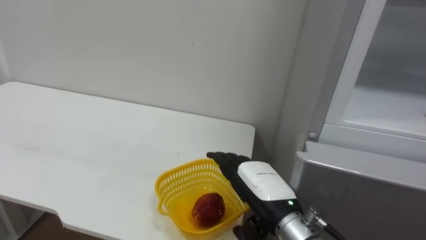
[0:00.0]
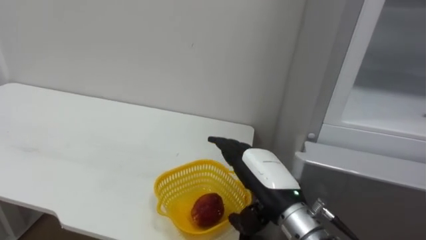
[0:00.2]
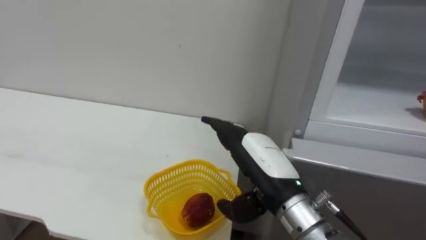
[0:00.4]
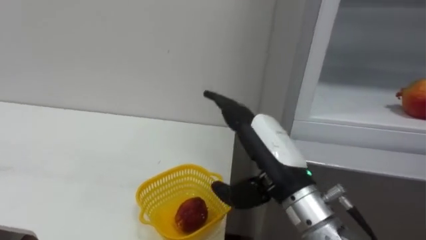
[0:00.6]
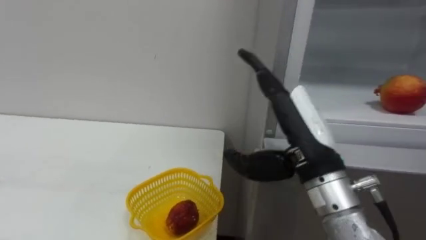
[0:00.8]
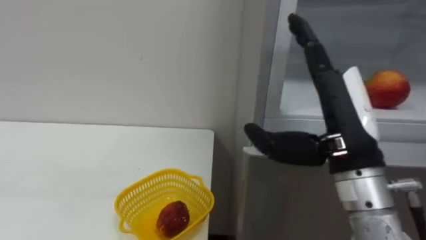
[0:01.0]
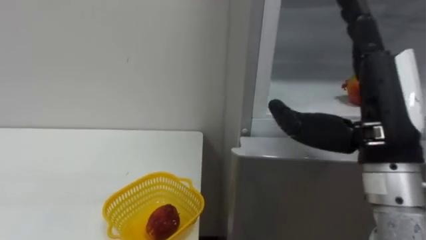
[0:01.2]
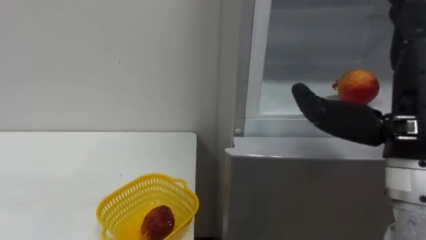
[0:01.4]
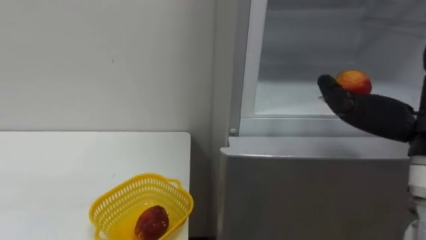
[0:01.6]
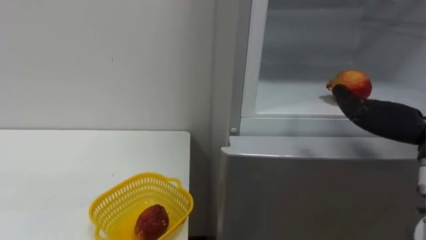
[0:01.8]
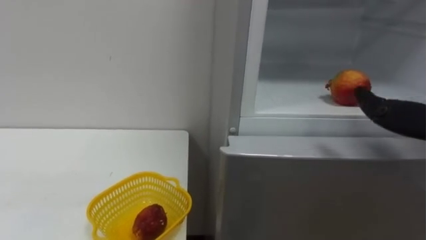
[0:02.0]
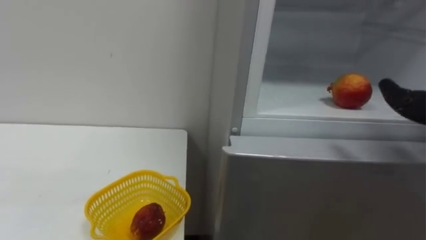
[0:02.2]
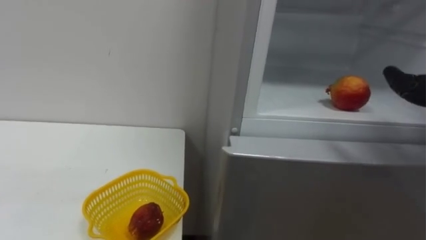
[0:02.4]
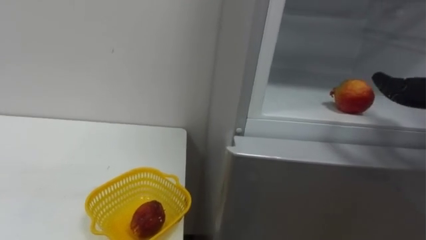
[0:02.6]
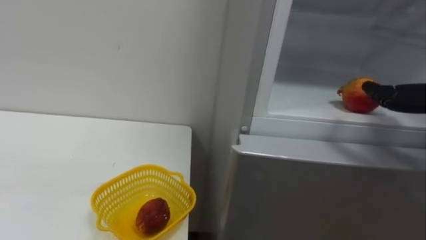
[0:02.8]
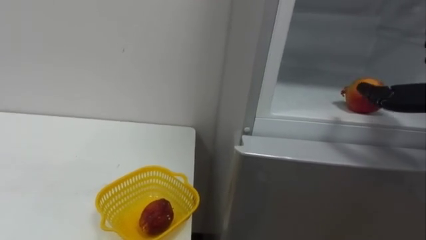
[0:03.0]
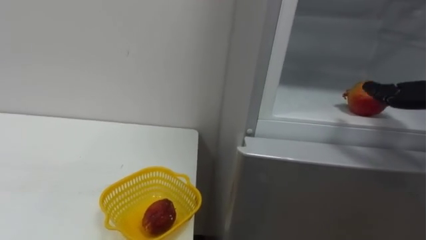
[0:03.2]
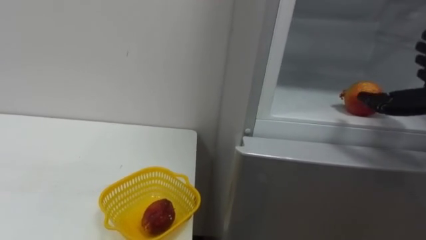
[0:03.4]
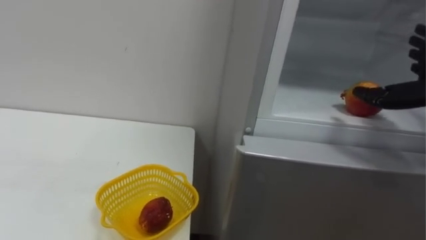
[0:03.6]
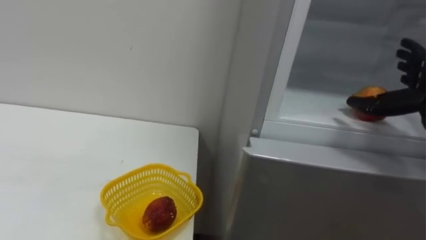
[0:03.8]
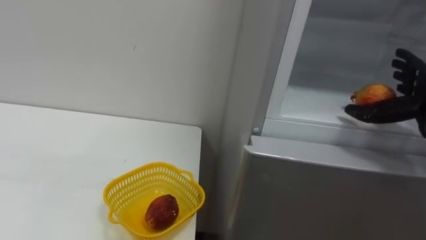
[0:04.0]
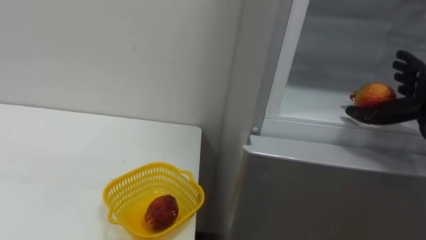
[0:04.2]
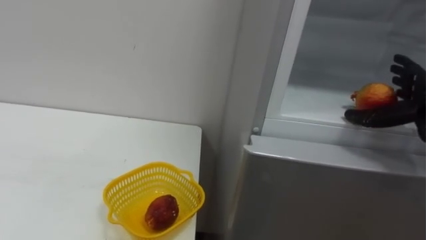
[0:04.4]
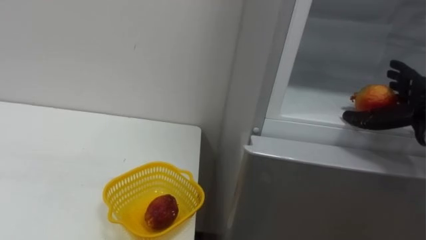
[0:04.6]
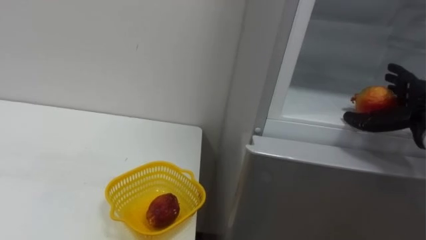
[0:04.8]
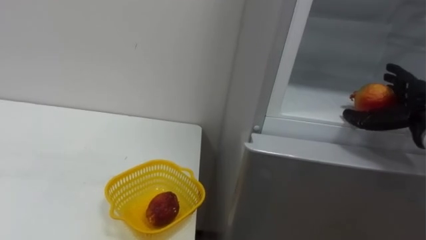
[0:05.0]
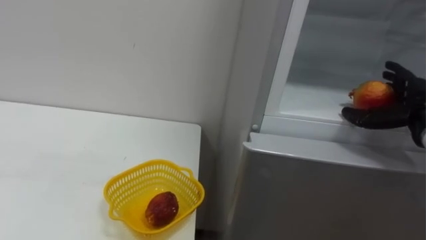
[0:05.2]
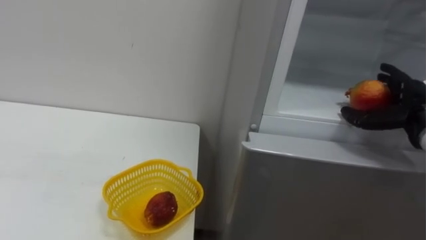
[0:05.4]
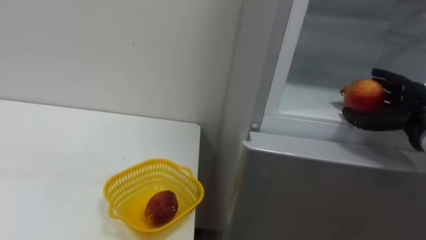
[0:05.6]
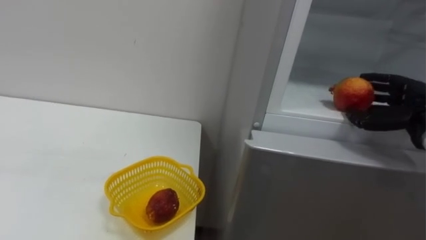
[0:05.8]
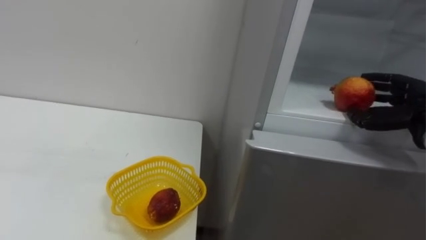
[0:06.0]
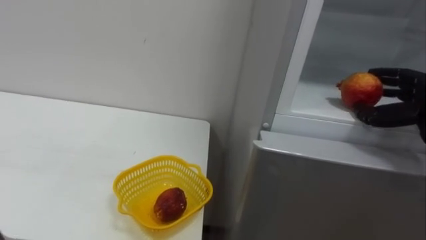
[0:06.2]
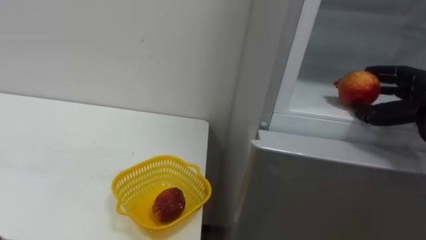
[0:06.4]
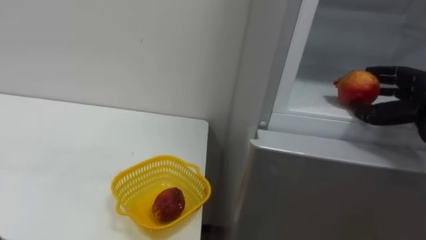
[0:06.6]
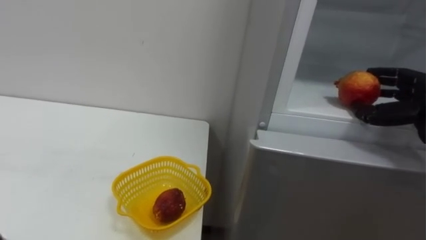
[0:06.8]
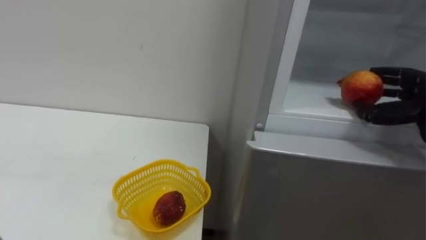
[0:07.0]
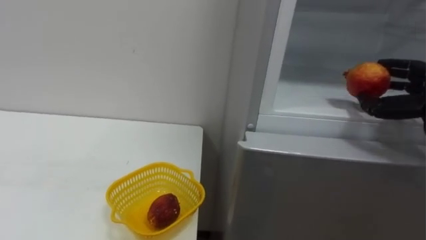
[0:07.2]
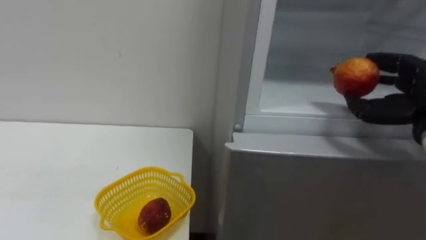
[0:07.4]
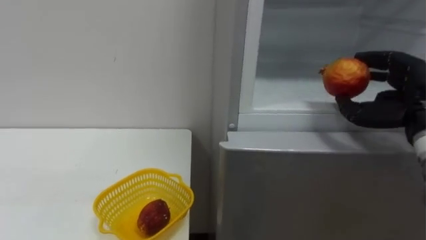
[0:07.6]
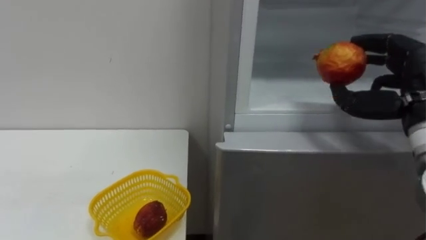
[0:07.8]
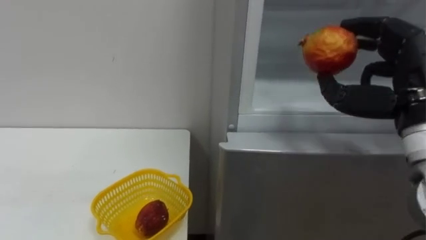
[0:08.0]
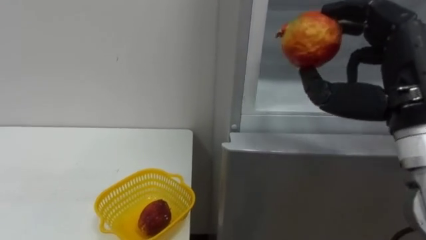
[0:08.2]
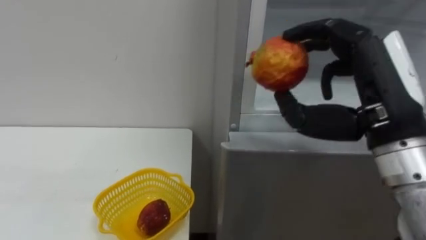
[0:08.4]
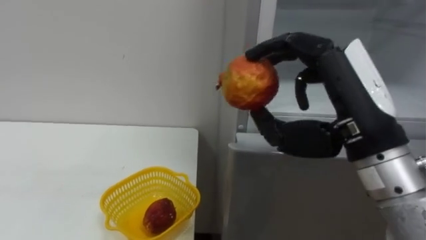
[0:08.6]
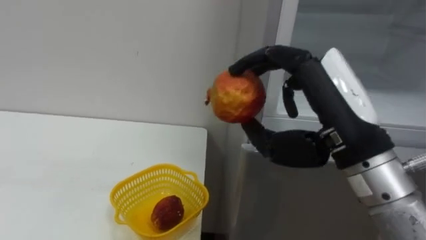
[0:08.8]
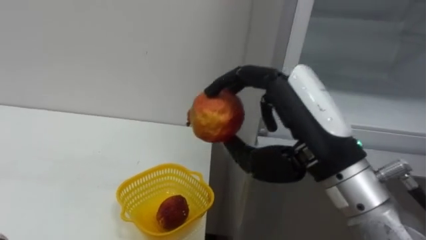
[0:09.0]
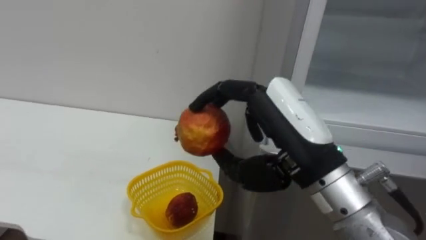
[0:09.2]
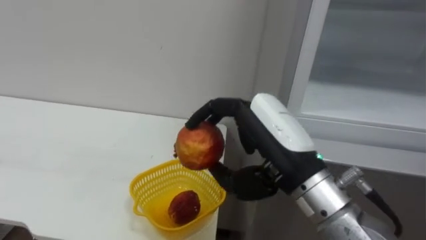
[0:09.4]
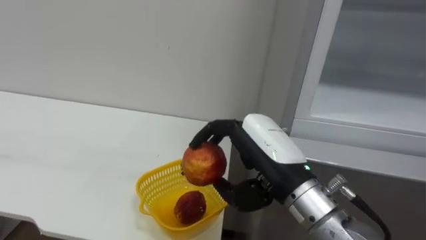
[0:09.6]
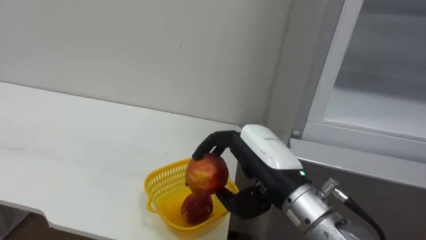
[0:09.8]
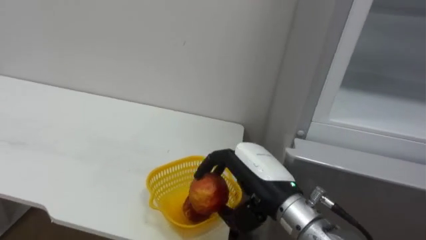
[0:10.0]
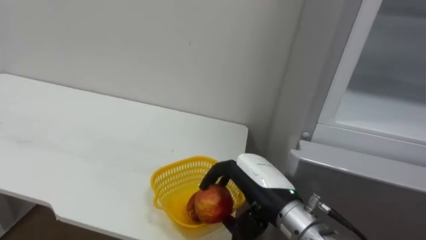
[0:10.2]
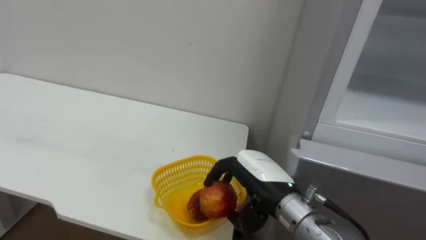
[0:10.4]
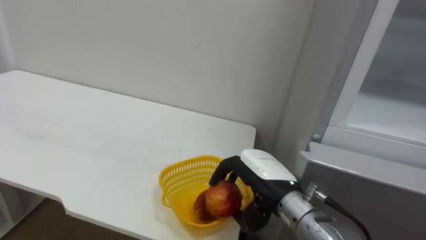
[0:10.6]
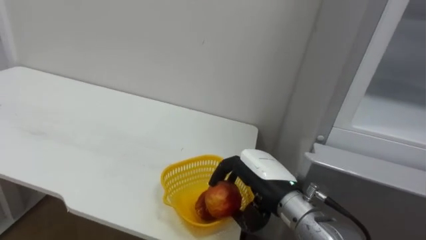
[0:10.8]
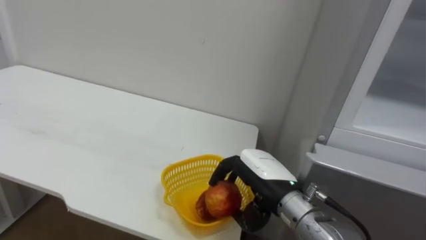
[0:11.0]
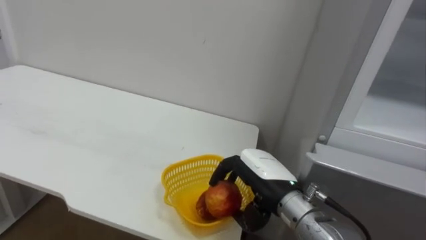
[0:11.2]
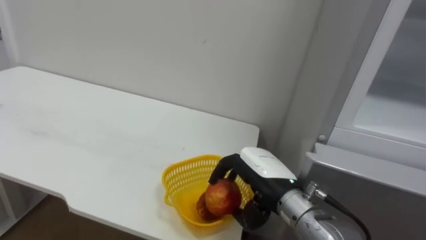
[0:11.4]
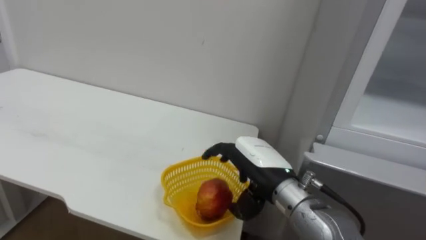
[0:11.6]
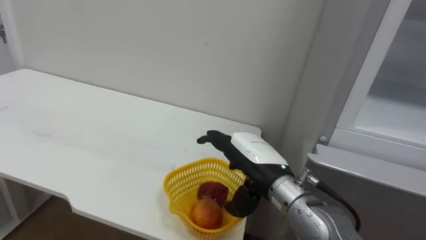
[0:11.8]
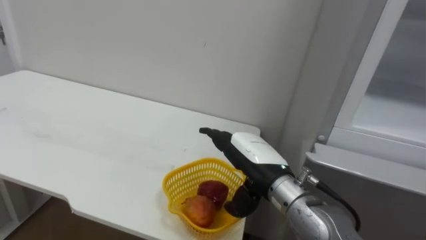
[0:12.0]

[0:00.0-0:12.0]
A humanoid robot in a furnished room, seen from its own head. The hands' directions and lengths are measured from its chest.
Task of the whole recording: Open the refrigerator door, take out the apple and the pomegranate, place them in the fruit basket on the left, and close the refrigerator door.
0:04.4 to 0:06.0: The right hand closes.
0:07.6 to 0:09.0: The right hand shifts about 20 cm to the left and backward.
0:09.0 to 0:10.4: The right hand moves downward and forward, roughly 15 cm.
0:10.4 to 0:12.0: The right hand opens its fingers.

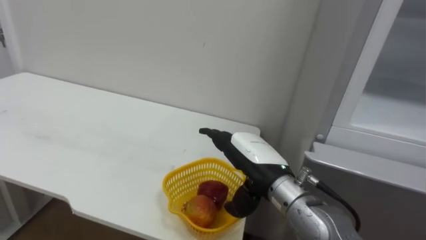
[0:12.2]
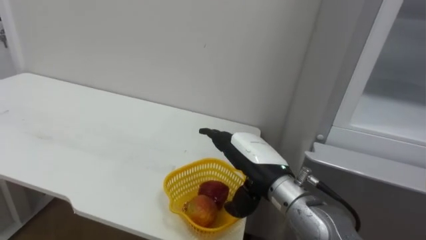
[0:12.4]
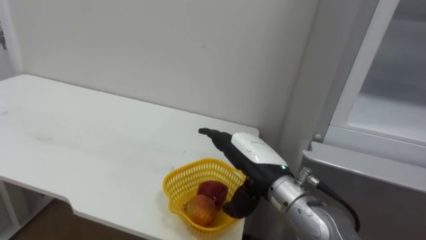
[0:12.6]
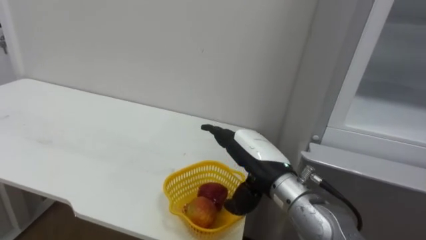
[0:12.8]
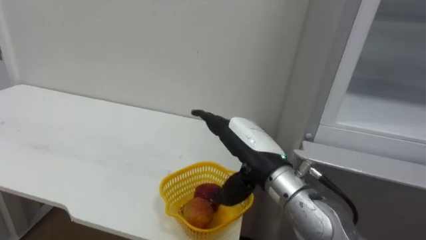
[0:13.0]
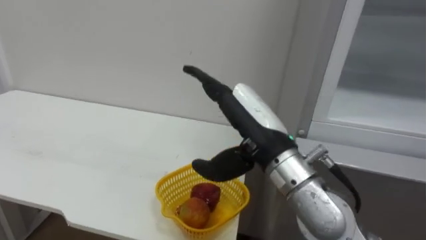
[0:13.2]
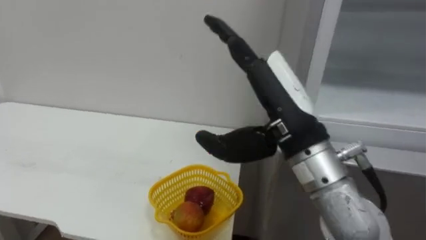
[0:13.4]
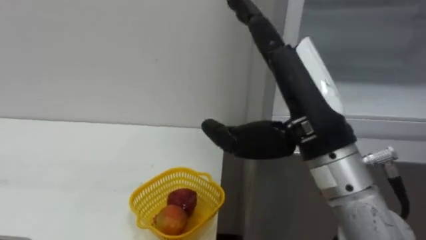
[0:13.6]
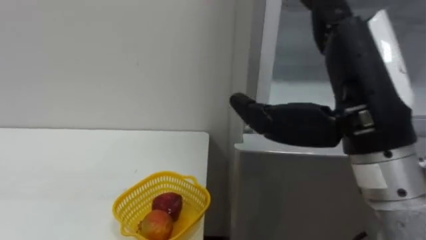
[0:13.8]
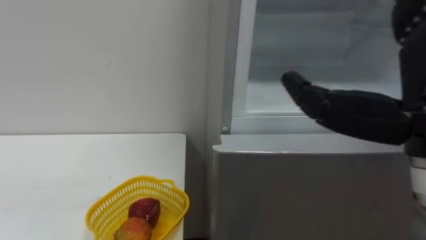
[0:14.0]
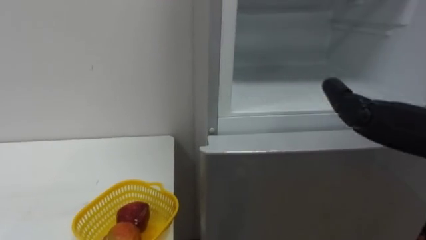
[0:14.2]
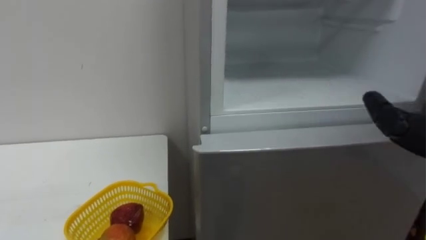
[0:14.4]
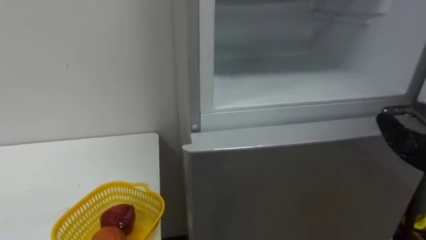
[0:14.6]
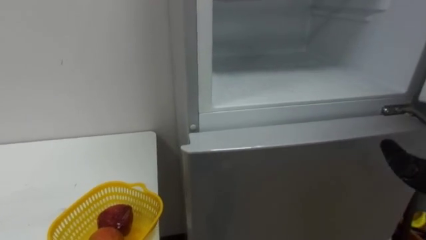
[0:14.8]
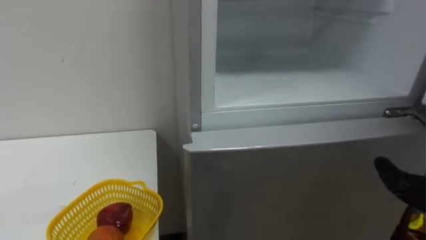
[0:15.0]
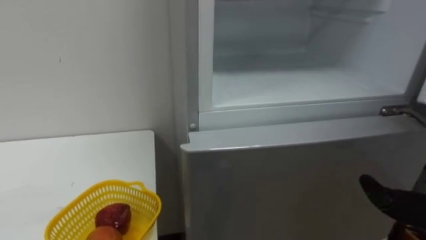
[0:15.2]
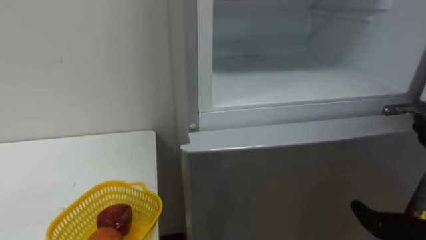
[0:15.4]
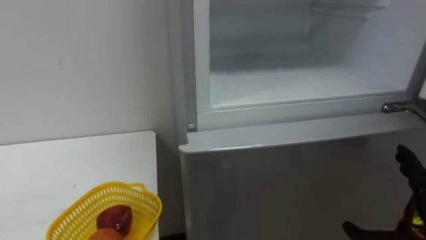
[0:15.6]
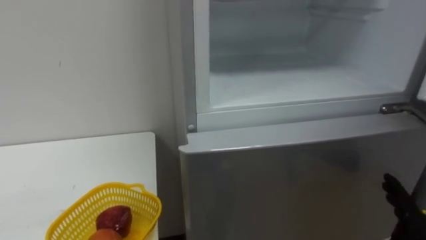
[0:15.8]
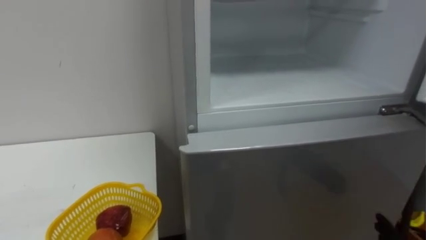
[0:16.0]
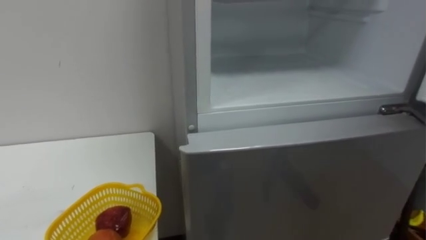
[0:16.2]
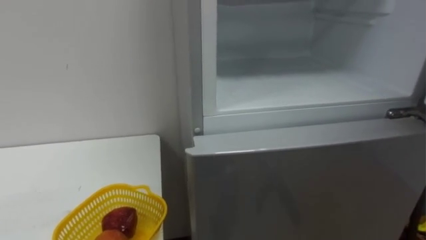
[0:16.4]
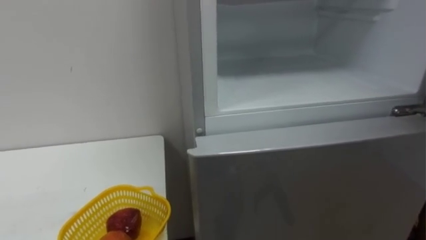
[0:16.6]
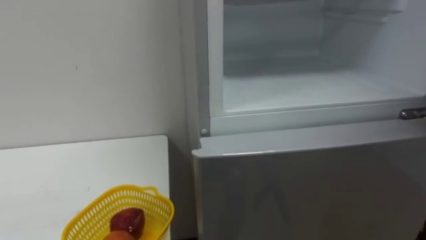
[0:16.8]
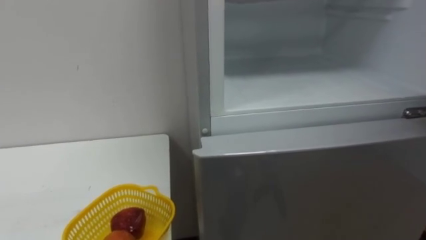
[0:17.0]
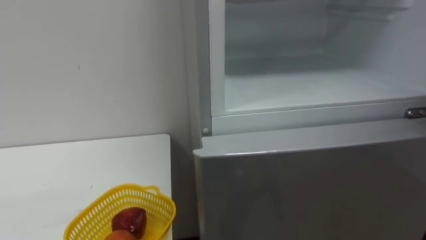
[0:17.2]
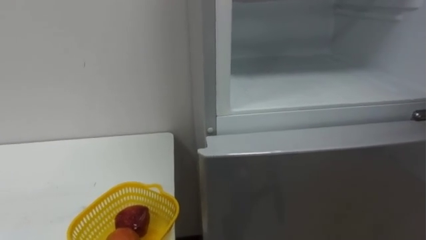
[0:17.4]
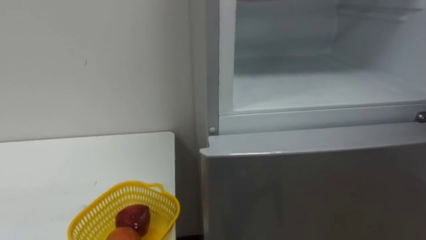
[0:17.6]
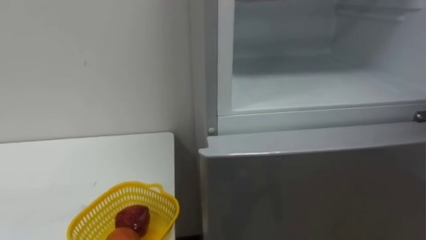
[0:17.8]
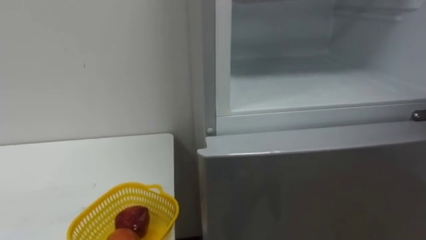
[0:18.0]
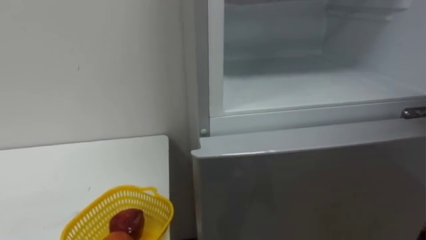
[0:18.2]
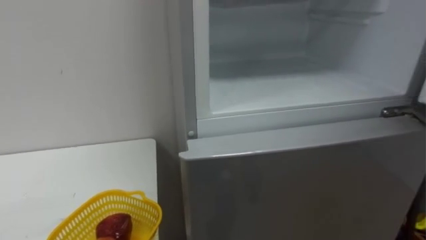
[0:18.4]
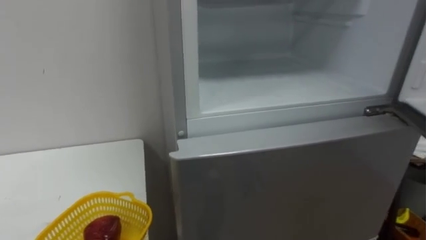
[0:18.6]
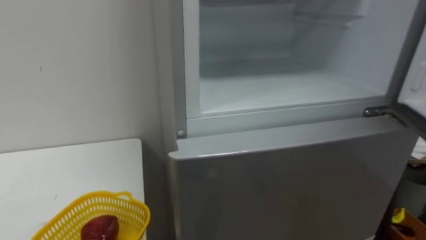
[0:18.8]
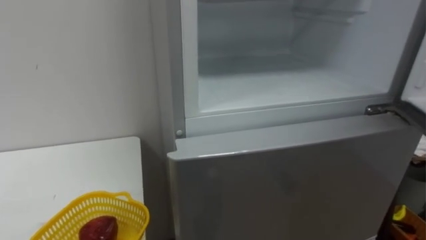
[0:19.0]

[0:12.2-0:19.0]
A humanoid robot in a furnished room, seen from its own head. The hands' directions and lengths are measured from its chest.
Task of the whole recording: Open the refrigerator door, take out the apple and the pomegranate, place them in the fruit basket on the left, and close the refrigerator door.
0:12.2 to 0:13.6: The right hand travels upward and backward by roughly 20 cm.
